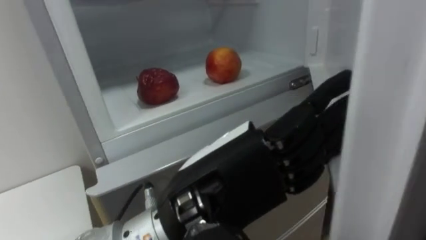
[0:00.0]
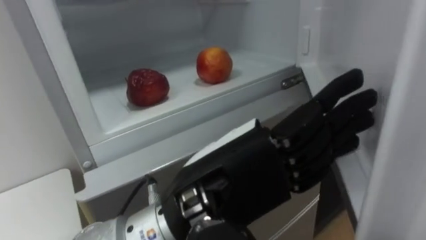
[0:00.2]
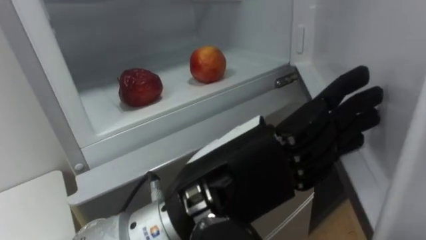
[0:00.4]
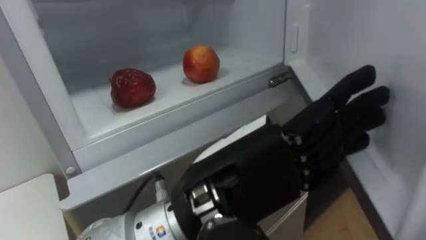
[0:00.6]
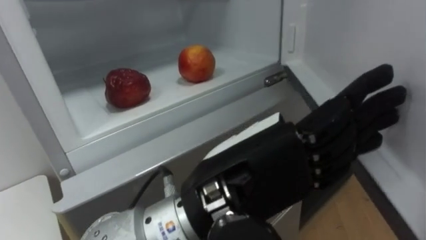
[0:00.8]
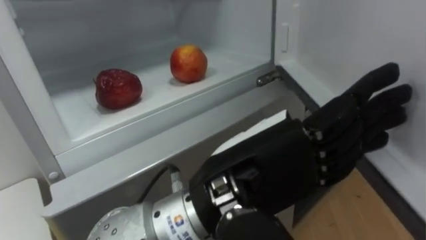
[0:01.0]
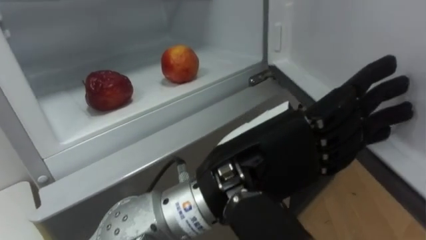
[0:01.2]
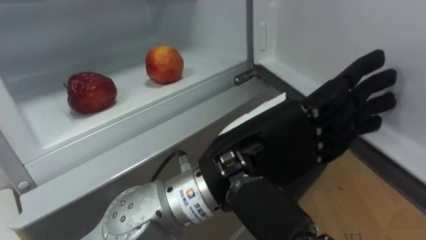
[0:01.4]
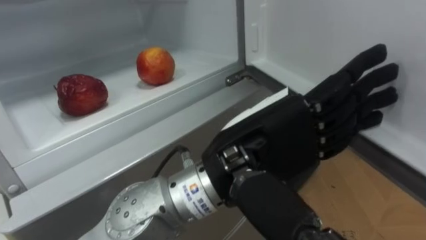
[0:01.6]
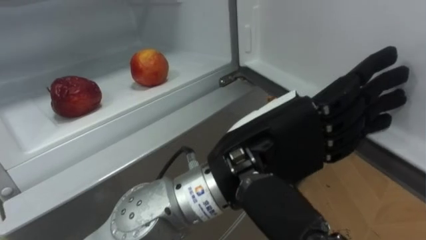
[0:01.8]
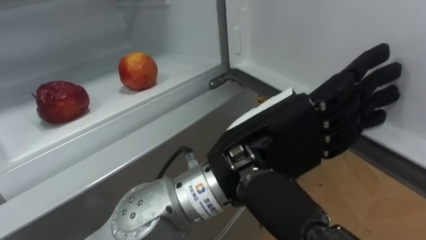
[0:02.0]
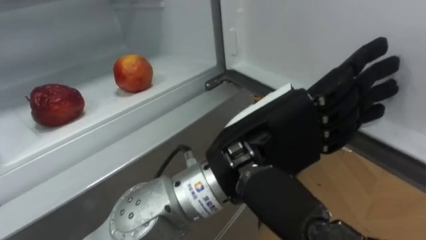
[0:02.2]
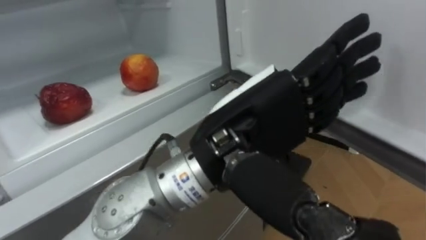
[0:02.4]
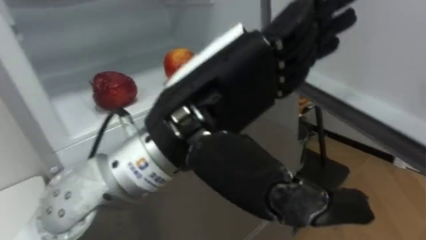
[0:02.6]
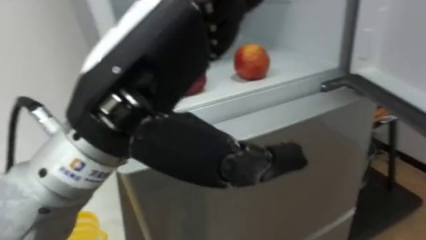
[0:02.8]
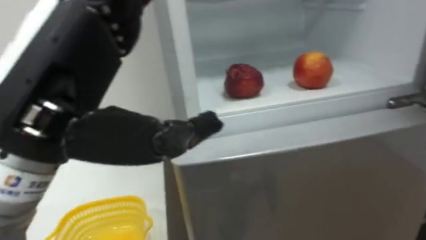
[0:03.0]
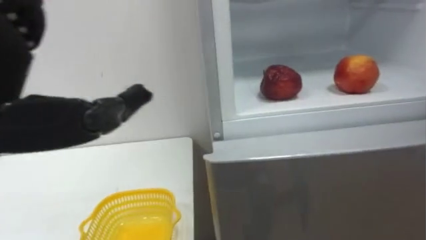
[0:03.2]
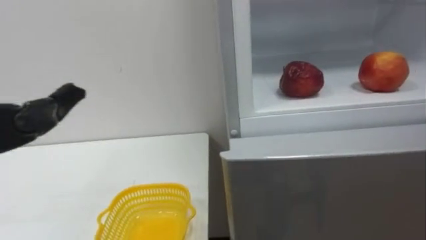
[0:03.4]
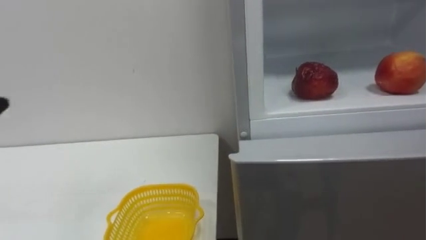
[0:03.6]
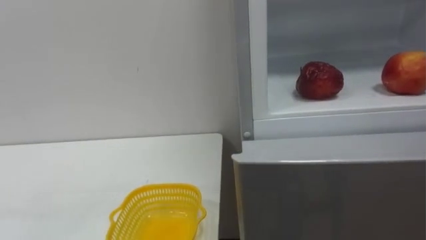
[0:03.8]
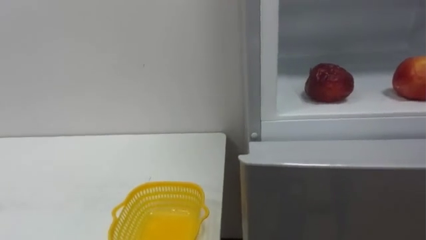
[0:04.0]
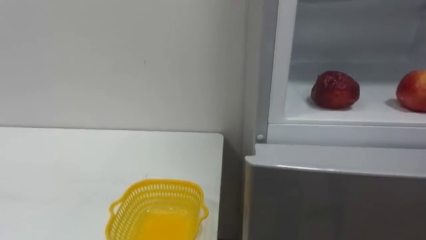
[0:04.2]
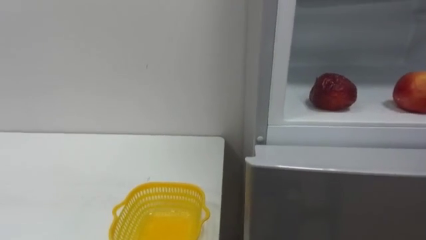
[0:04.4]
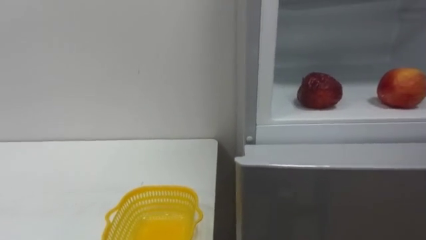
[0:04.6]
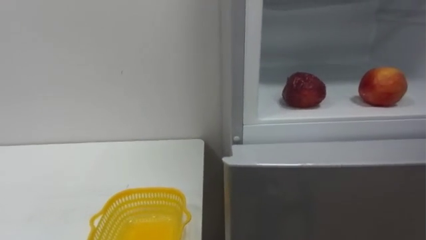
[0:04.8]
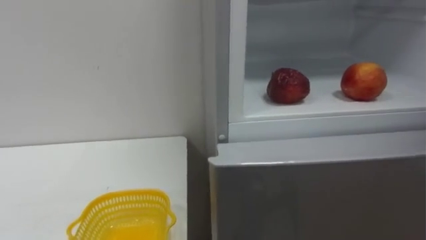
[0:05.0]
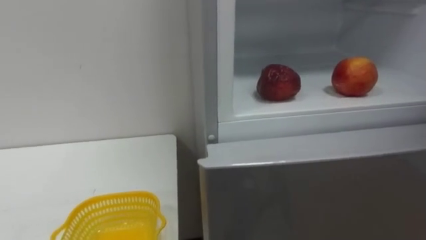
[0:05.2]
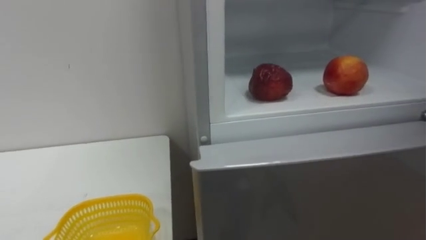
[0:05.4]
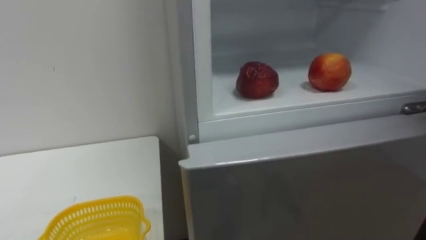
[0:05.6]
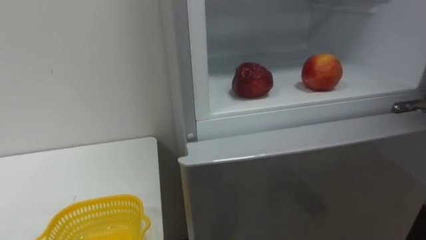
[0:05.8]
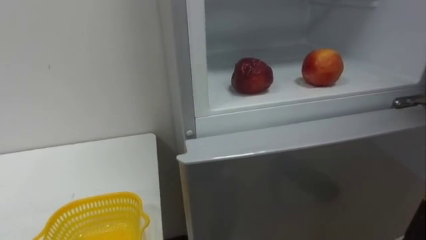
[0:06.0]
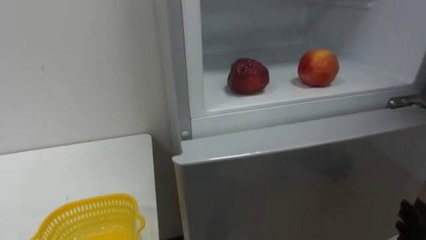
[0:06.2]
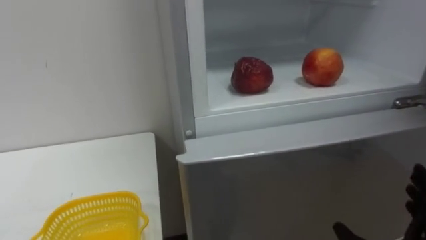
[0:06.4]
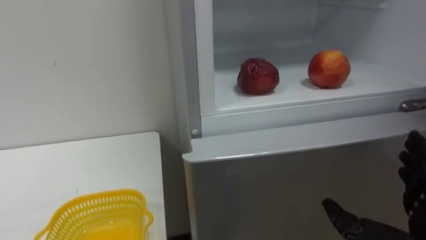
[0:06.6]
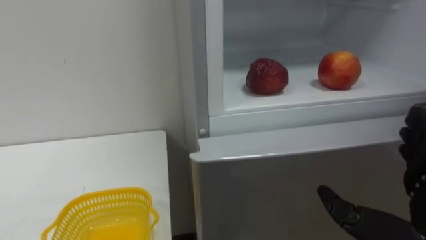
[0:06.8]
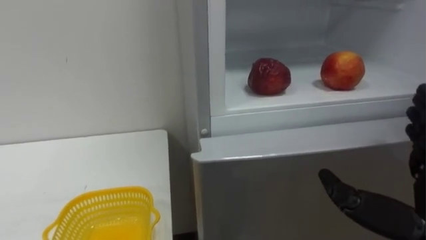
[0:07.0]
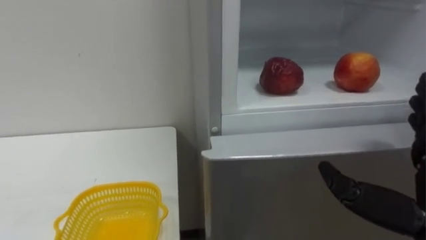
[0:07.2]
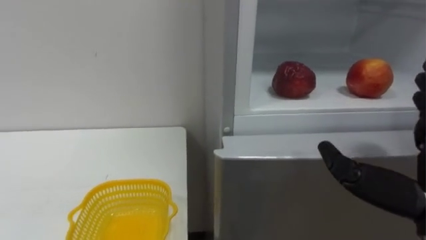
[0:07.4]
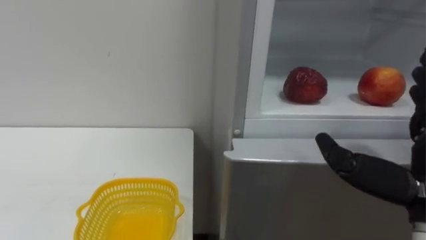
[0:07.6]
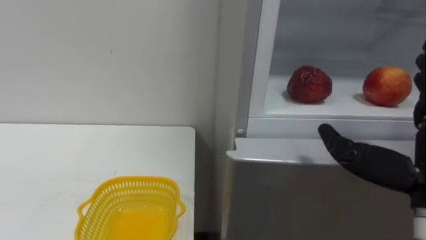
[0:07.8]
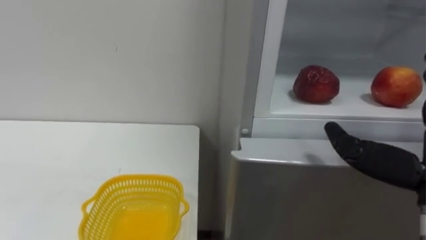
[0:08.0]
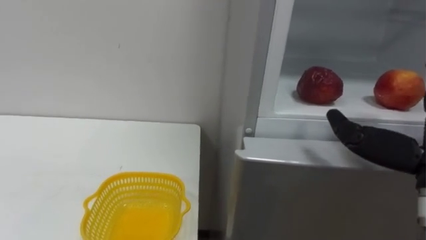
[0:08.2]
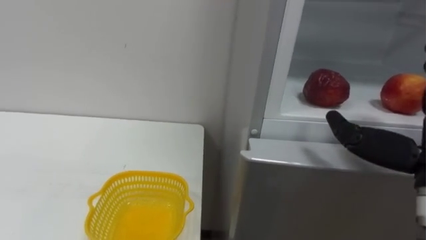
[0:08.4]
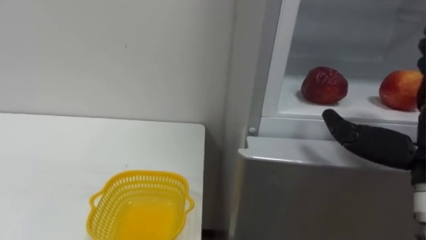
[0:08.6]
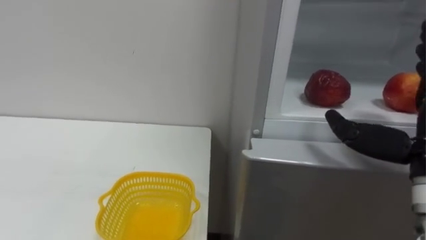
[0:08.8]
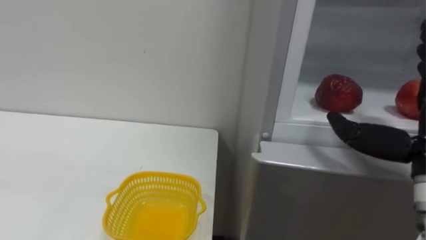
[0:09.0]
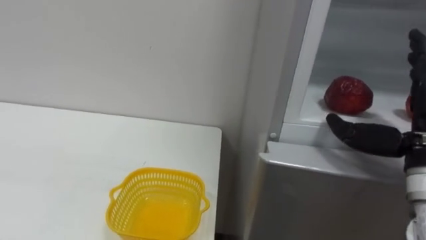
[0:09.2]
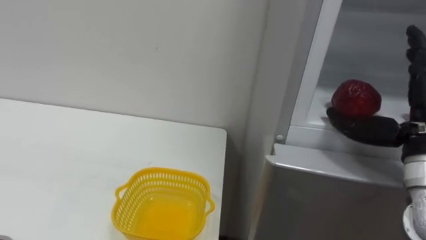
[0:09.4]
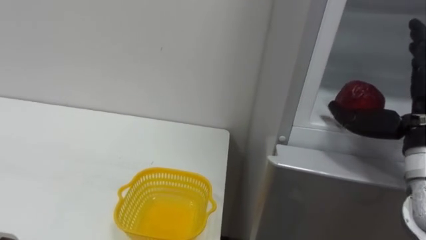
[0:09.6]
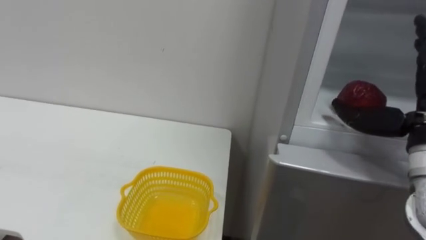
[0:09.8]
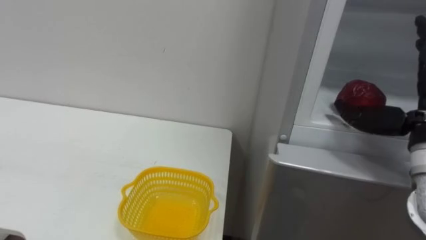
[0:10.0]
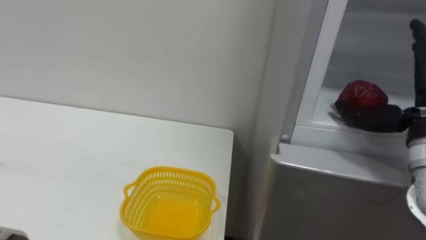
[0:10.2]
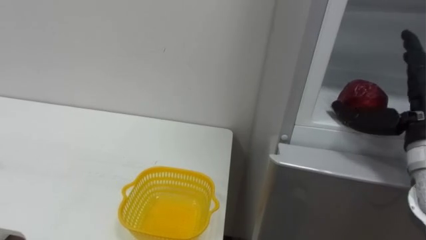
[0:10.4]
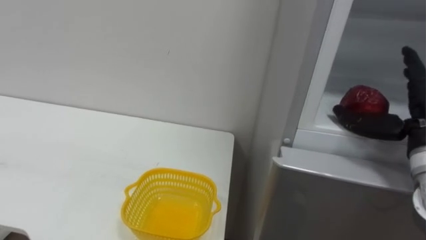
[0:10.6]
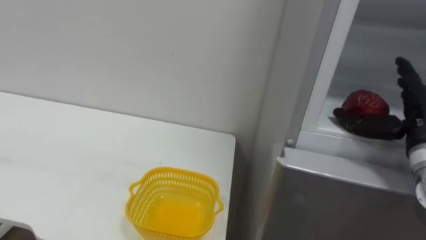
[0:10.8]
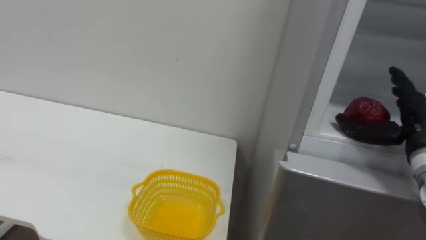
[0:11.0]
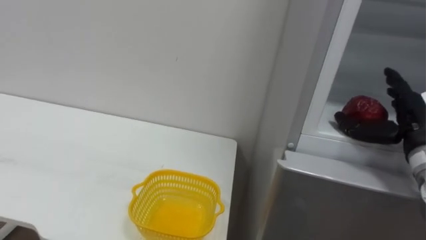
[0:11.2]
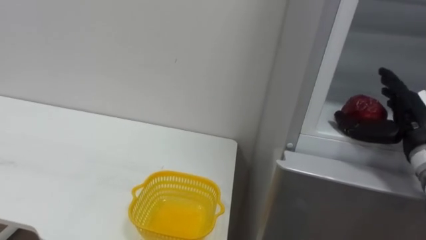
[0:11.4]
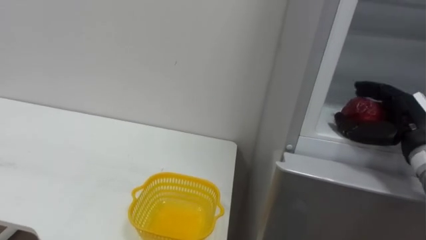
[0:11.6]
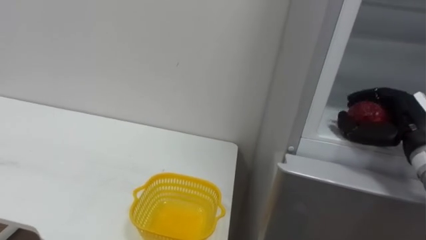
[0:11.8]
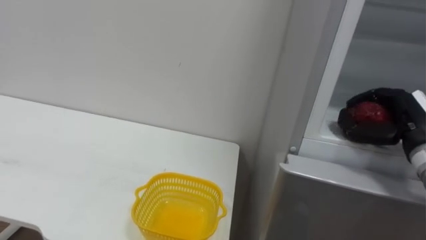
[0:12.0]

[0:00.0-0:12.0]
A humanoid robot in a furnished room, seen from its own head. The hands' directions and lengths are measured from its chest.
Task of the whole recording: Open the refrigerator door, take out the apple and the pomegranate, place them in the fruit basket on the left, and close the refrigerator door.
0:00.0 to 0:01.6: The left hand moves some 5 cm.
0:01.6 to 0:03.0: The left hand is displaced to the left and upward by about 20 cm.
0:09.0 to 0:10.4: The right hand goes about 5 cm forward.
0:10.4 to 0:12.0: The right hand ends up roughly 5 cm from where it was, and closes.

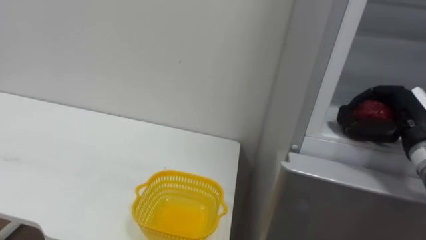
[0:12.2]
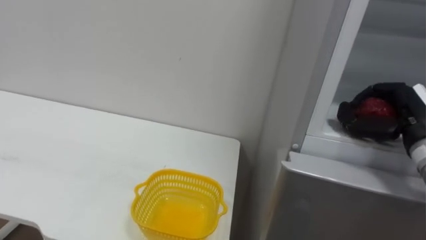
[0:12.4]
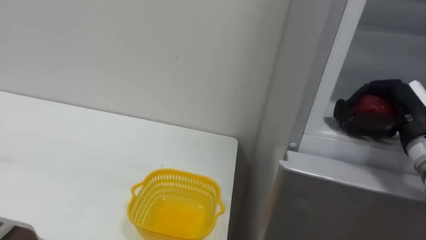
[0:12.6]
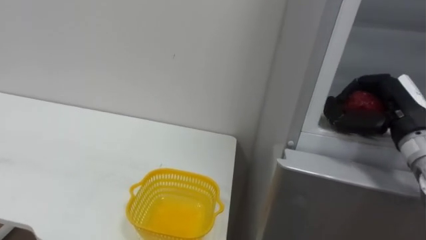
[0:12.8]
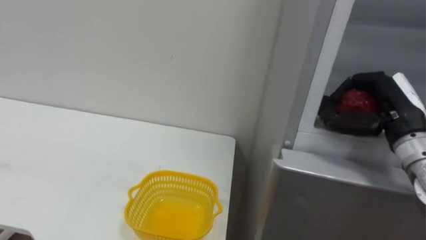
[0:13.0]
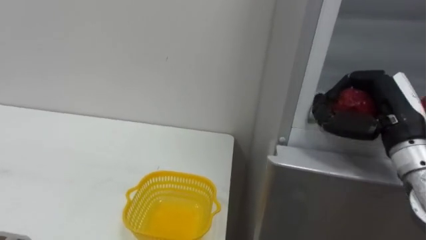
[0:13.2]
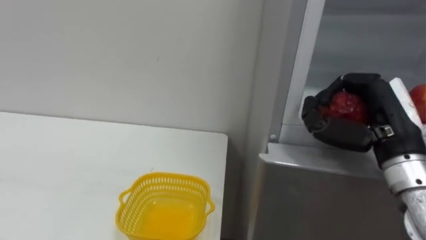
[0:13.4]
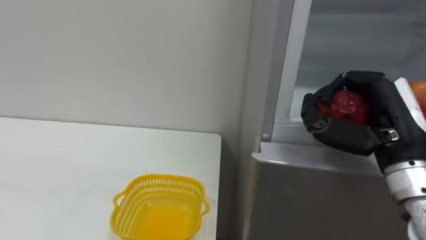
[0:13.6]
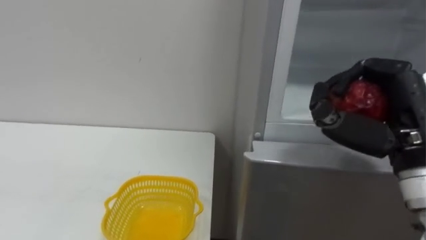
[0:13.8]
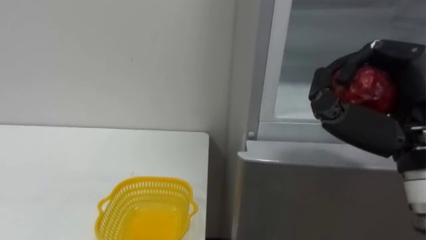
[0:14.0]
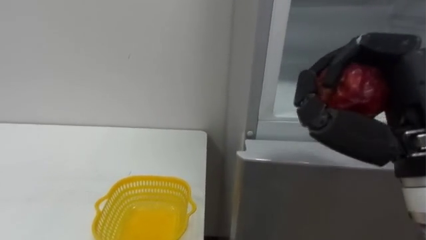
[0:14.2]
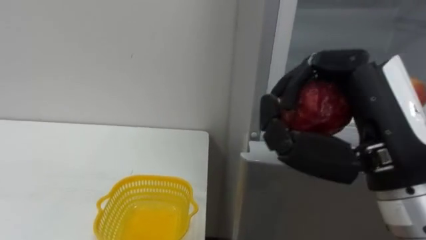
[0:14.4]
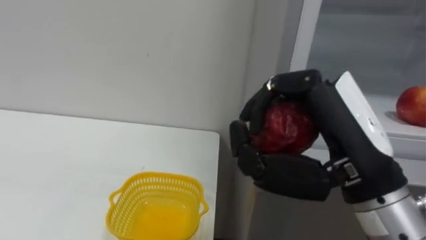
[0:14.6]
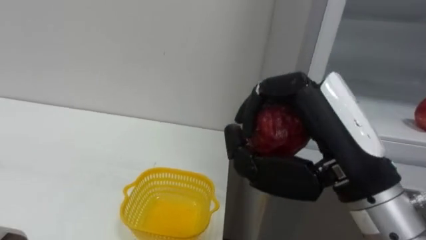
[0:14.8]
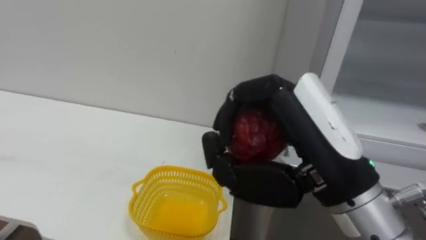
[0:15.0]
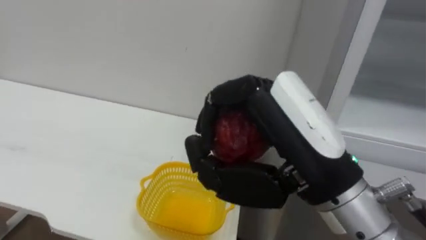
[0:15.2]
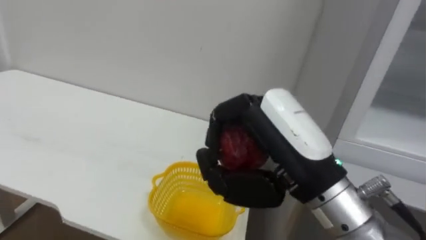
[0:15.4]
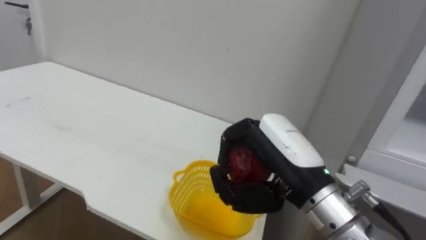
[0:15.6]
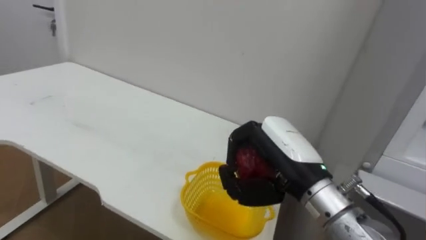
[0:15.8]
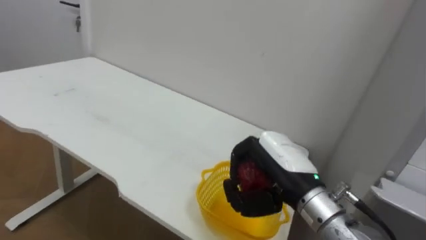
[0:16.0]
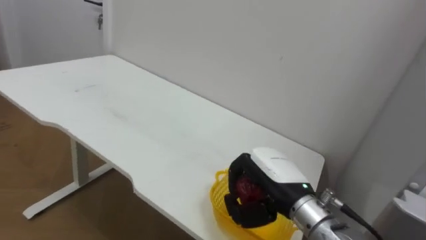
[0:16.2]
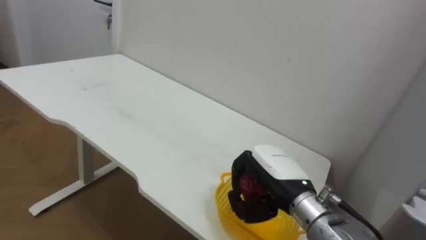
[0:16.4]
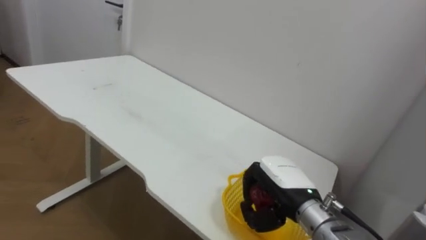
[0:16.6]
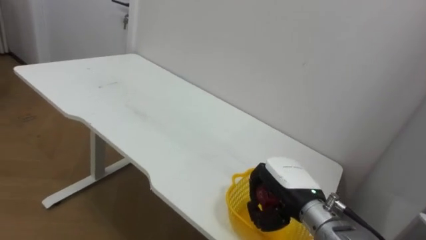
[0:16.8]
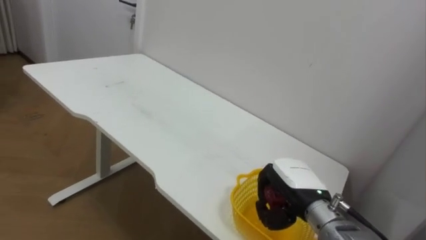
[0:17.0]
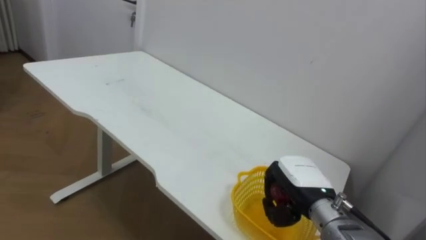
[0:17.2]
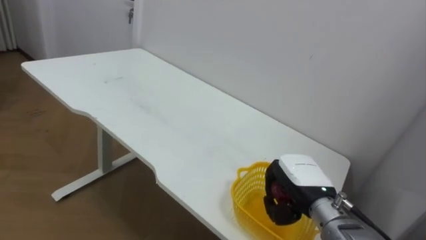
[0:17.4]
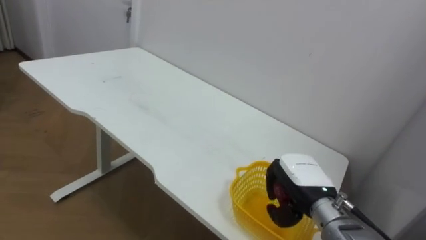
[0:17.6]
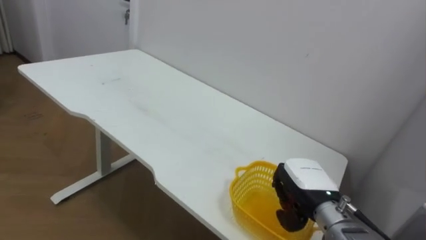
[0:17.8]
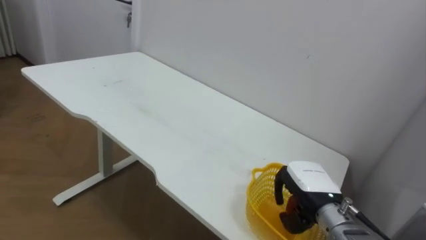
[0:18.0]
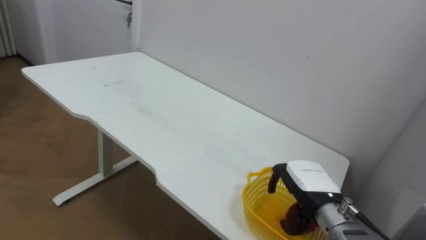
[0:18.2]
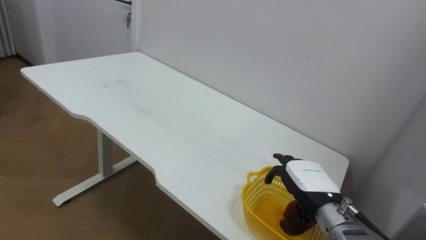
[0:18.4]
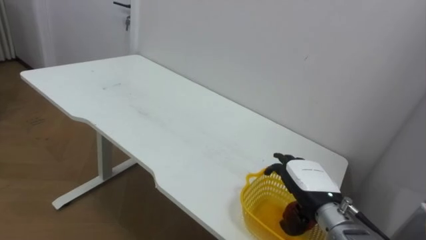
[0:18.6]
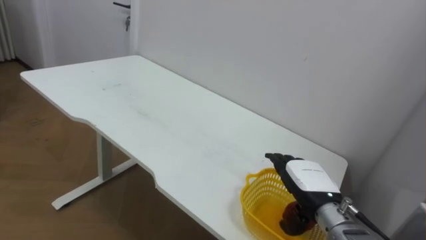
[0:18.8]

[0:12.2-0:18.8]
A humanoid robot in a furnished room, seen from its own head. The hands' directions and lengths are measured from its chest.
Task of the whole recording: Open the refrigerator door, take out the apple and the pomegranate, place them in the fruit basket on the left, and close the refrigerator door.
0:12.2 to 0:13.8: The right hand travels backward, to the left and upward by about 15 cm.
0:13.8 to 0:15.4: The right hand goes roughly 15 cm to the left.
0:15.4 to 0:17.2: The right hand heads downward and forward, covering roughly 20 cm.
0:17.2 to 0:18.8: The right hand opens.
